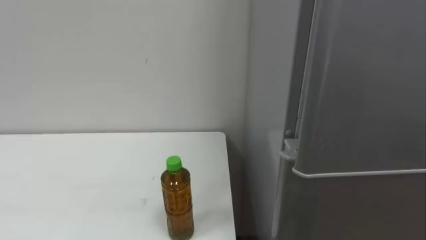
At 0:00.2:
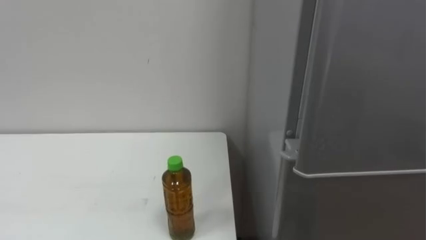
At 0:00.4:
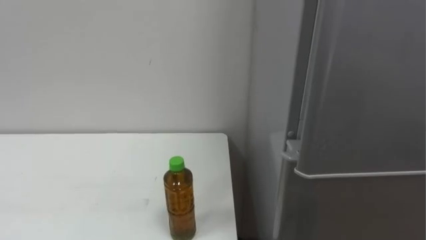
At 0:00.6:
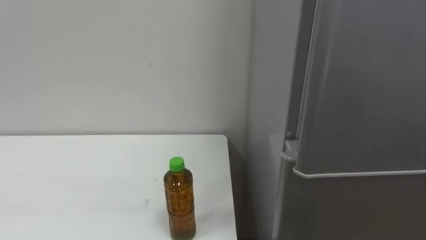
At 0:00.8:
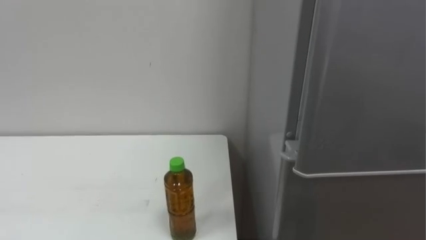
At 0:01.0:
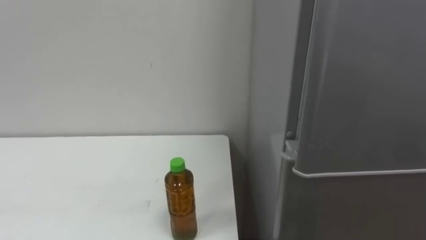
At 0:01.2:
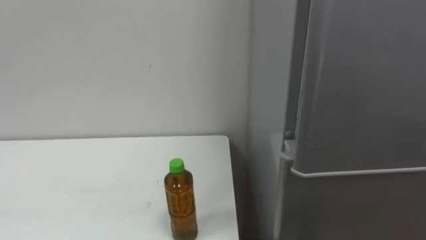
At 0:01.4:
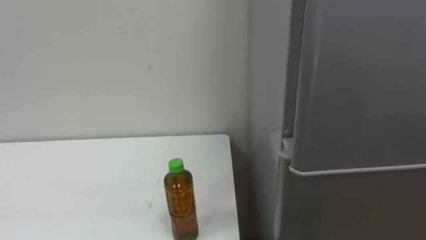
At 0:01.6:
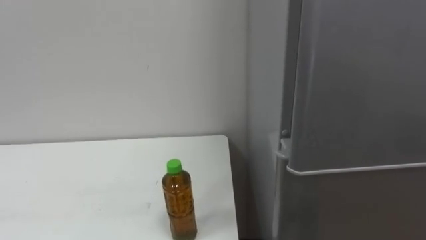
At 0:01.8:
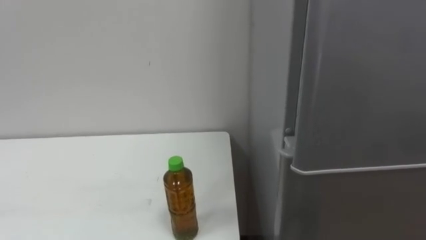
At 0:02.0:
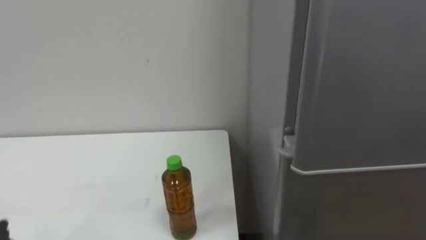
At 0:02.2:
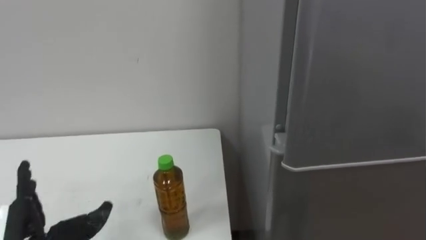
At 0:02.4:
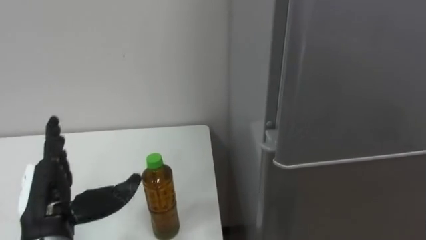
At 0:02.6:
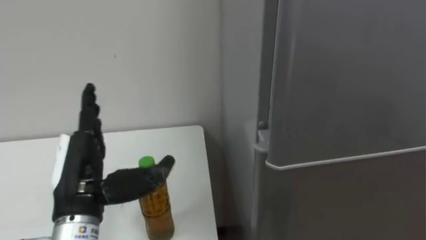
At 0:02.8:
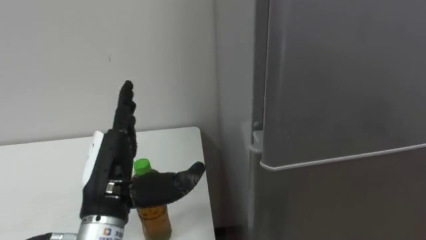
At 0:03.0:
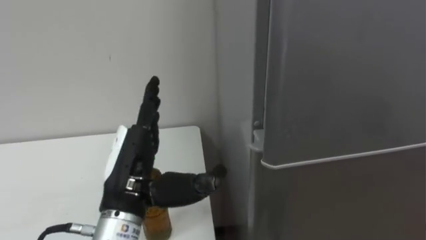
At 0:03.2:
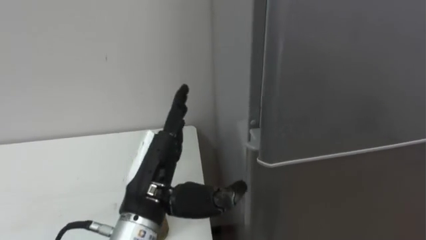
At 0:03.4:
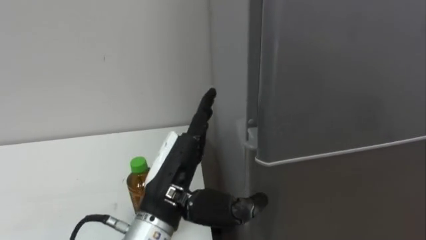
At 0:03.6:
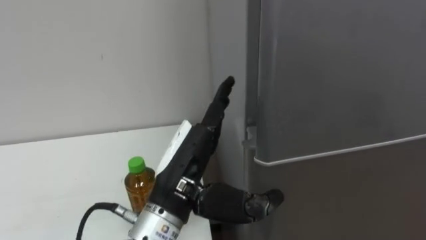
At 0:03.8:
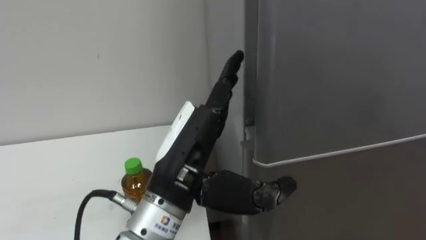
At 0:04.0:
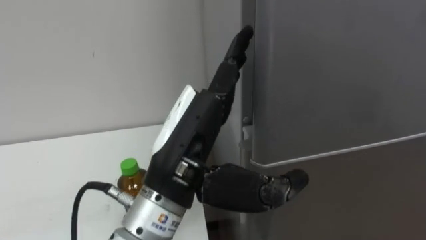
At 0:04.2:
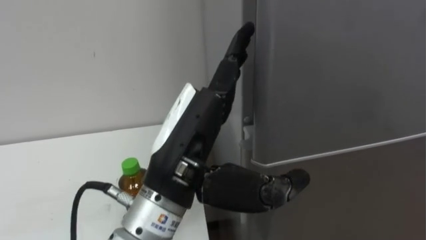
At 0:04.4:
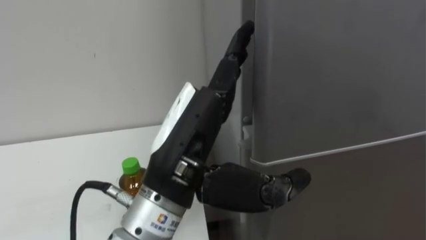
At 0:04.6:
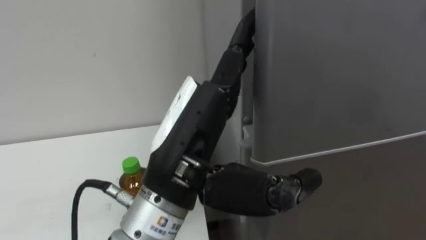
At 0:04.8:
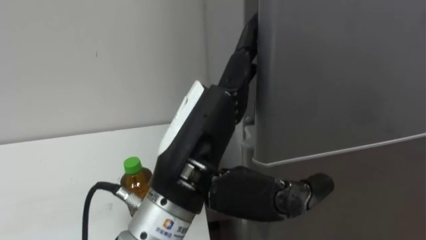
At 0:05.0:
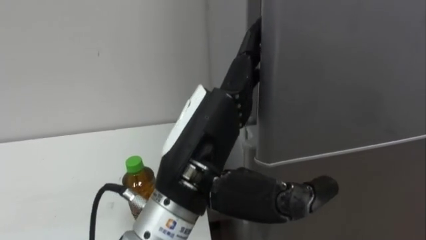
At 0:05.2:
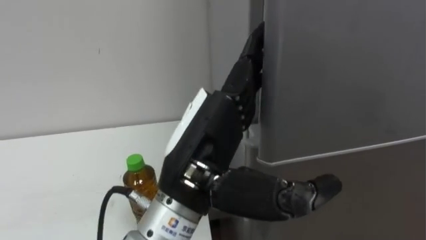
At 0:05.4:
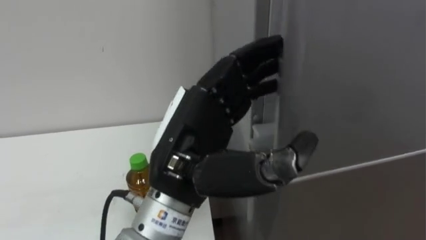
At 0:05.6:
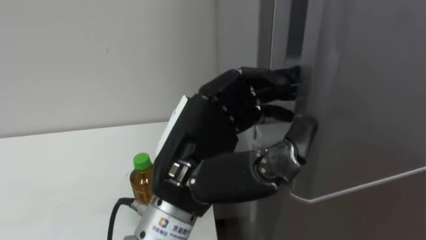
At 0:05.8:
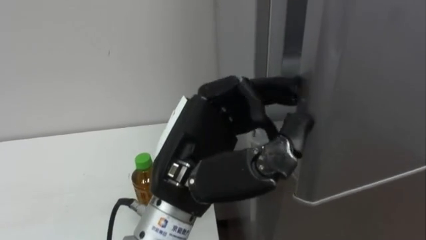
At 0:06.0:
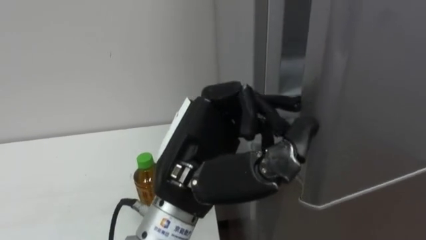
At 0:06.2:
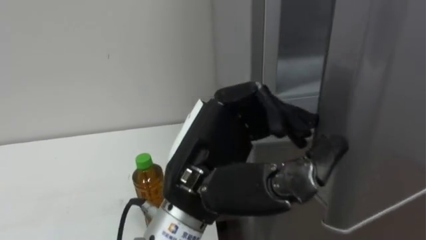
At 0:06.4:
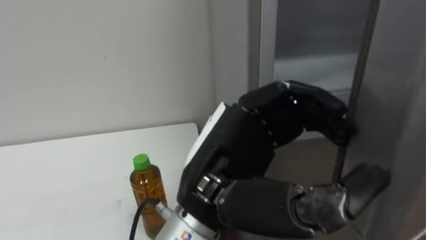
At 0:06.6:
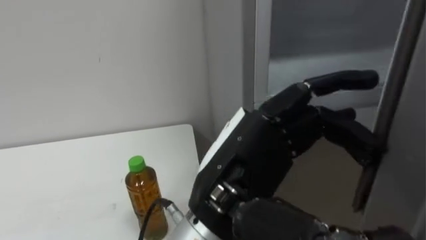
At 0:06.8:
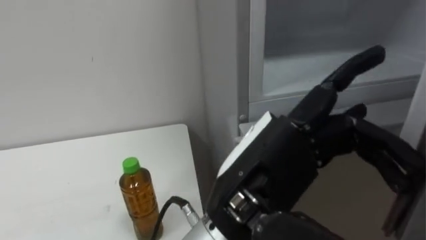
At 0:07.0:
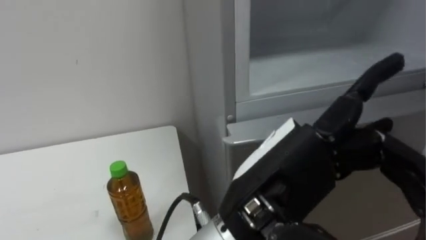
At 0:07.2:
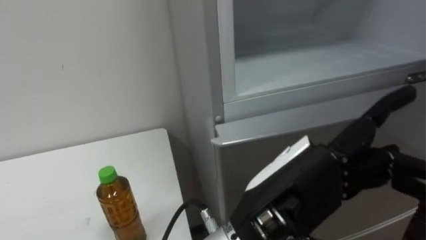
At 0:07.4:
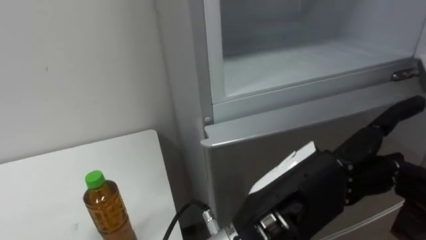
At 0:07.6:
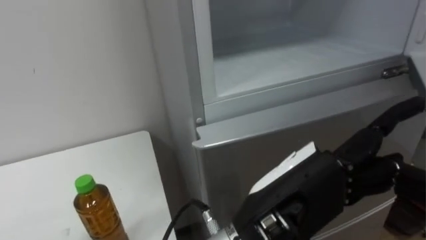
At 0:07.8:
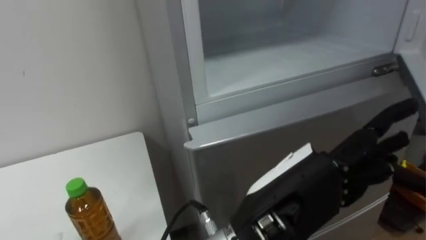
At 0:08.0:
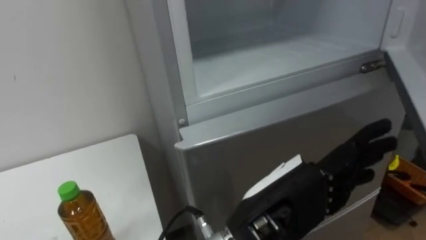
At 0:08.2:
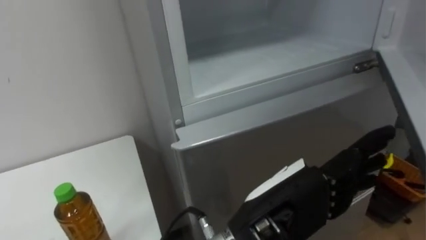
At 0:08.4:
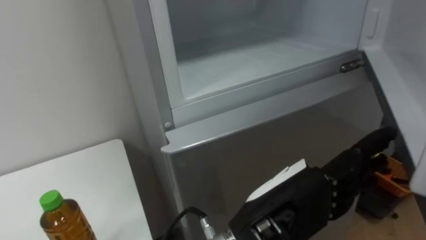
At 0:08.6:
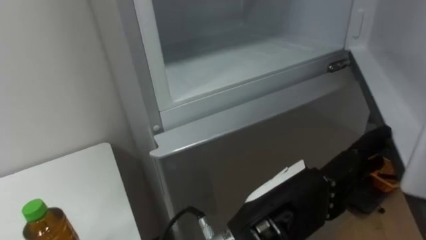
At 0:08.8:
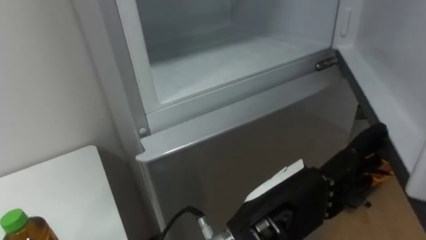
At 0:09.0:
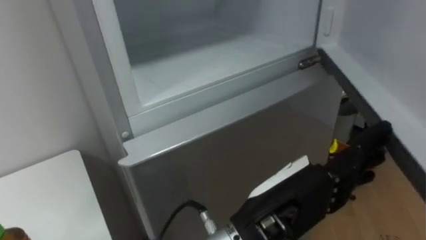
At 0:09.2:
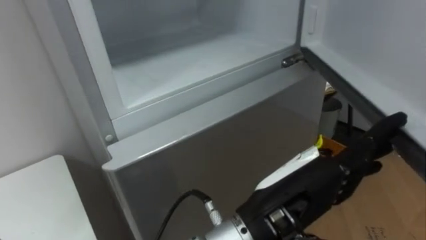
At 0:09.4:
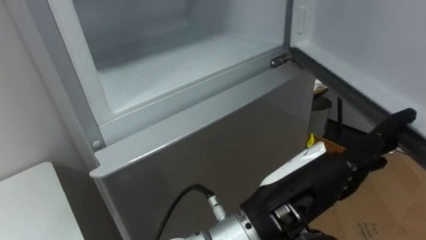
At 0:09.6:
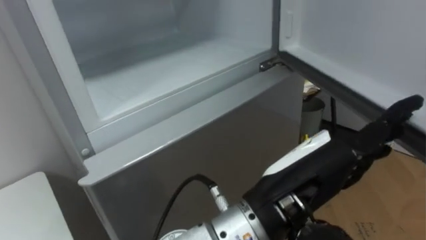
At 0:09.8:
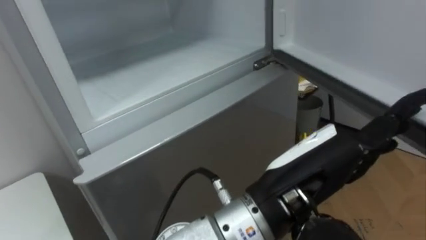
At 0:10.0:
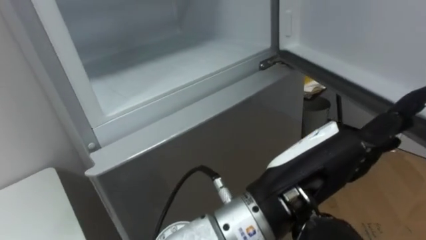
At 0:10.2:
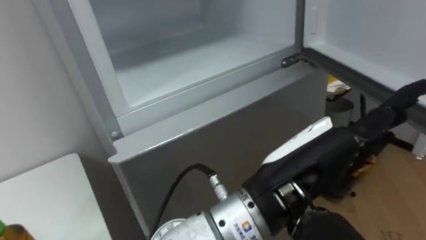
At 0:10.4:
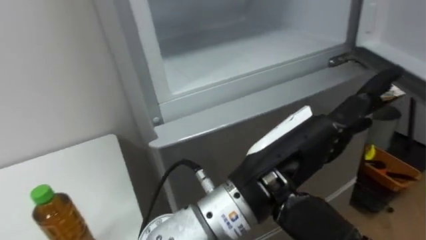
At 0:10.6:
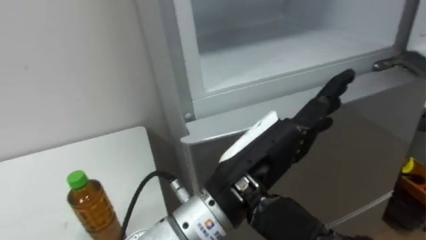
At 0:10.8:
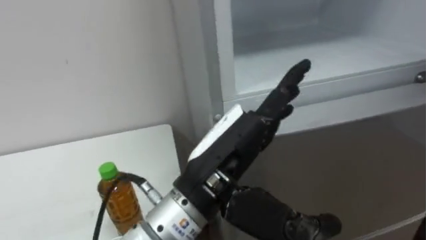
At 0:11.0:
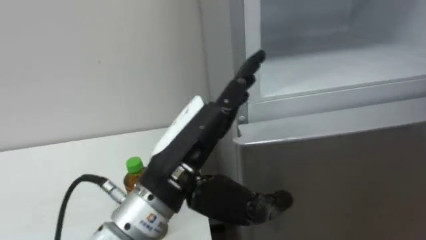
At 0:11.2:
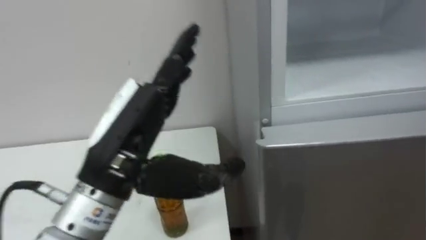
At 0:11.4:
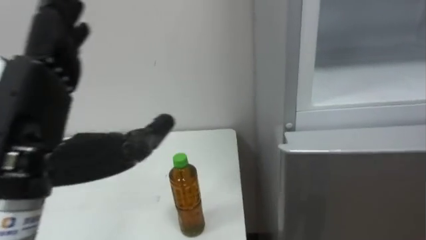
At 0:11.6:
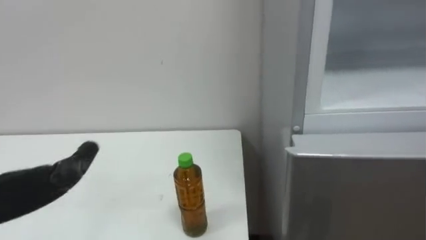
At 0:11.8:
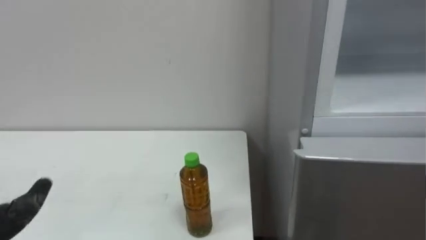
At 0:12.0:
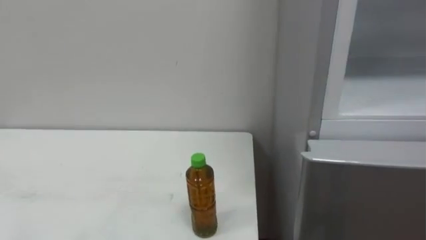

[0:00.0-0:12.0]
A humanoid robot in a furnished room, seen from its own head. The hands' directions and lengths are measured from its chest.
Task of the whole recording: Open the upper refrigerator door, put the drink from the table into the refrigerator, and then close the refrigerator door.
0:03.0 to 0:04.4: The left hand shifts about 10 cm to the right and upward.
0:04.4 to 0:06.0: The left hand closes.
0:06.0 to 0:07.6: The left hand goes approximately 10 cm to the right and backward, and opens.

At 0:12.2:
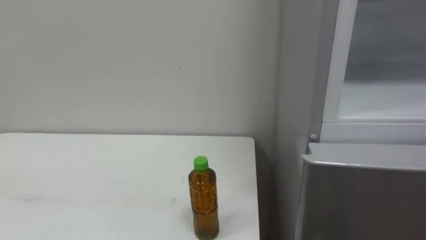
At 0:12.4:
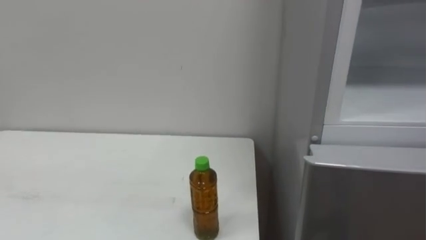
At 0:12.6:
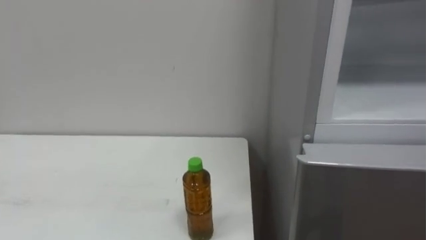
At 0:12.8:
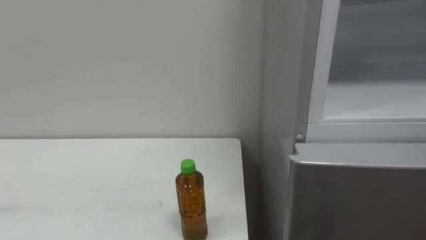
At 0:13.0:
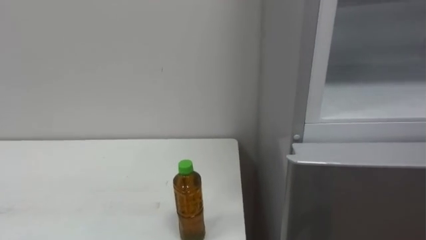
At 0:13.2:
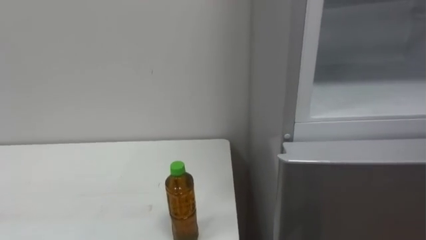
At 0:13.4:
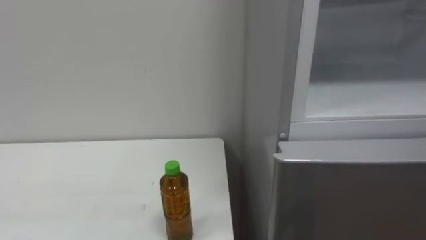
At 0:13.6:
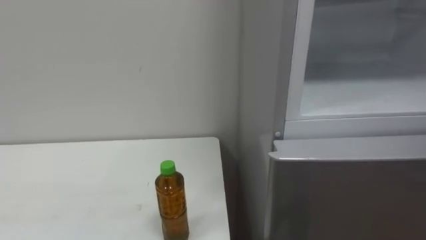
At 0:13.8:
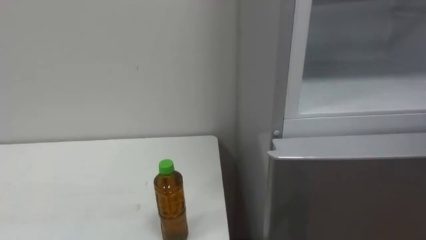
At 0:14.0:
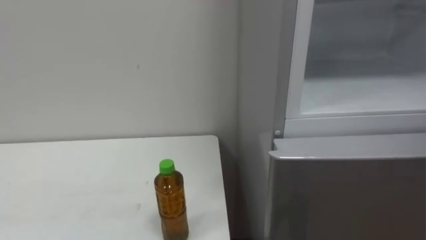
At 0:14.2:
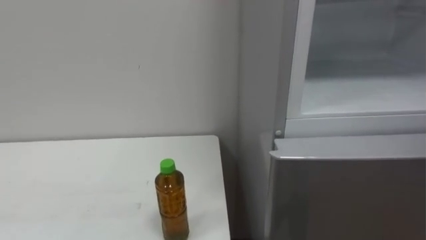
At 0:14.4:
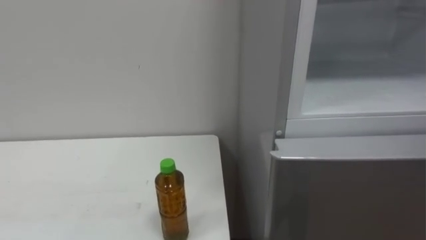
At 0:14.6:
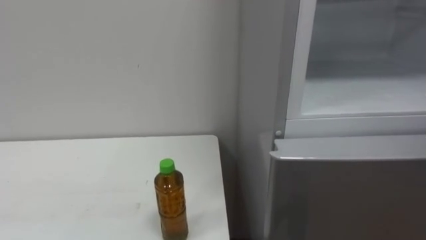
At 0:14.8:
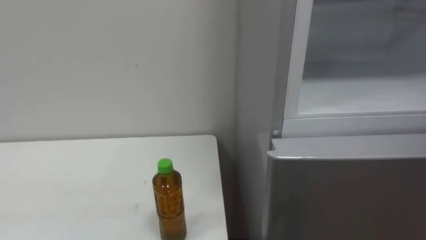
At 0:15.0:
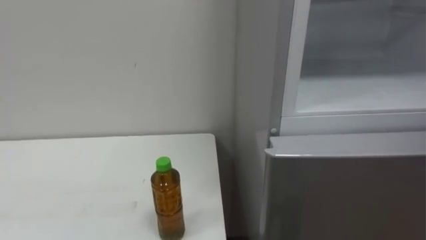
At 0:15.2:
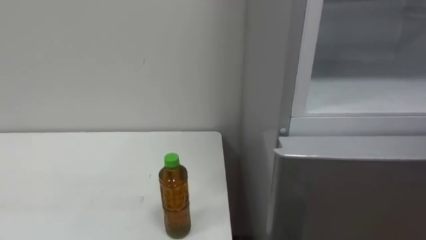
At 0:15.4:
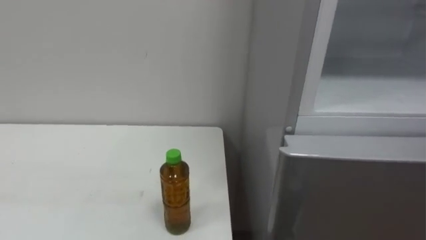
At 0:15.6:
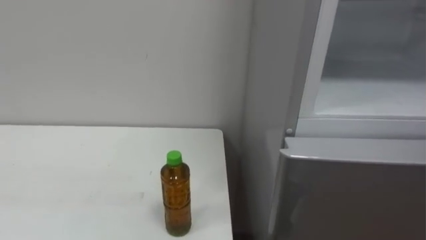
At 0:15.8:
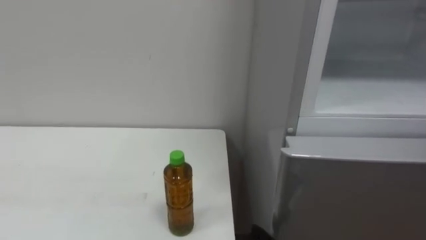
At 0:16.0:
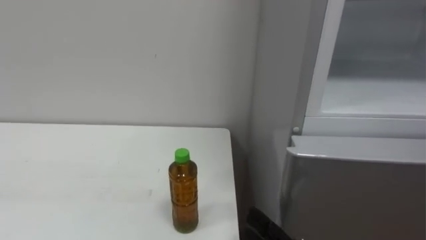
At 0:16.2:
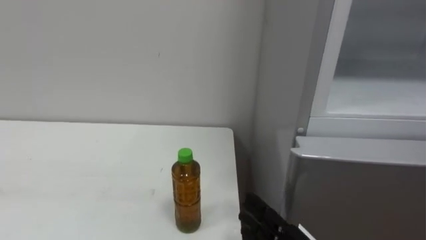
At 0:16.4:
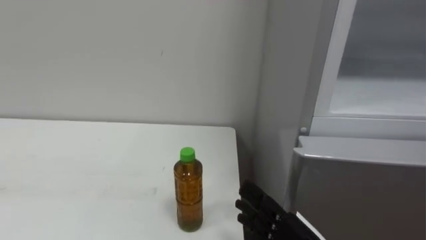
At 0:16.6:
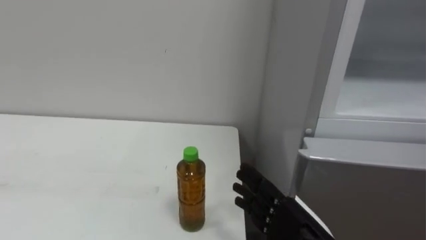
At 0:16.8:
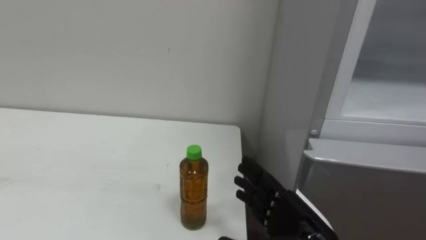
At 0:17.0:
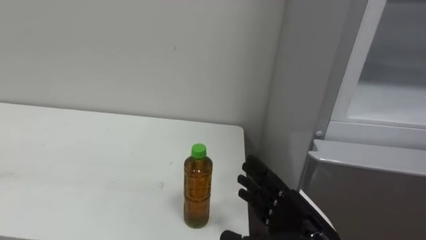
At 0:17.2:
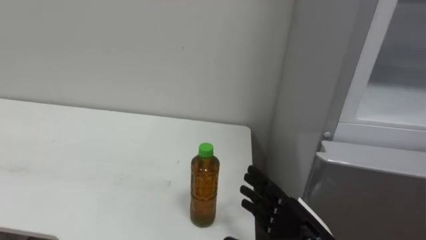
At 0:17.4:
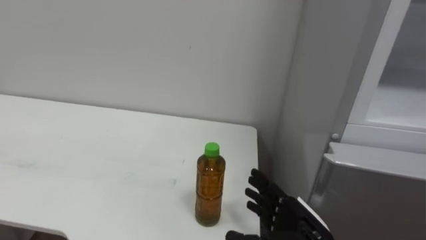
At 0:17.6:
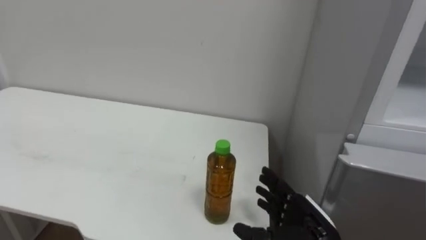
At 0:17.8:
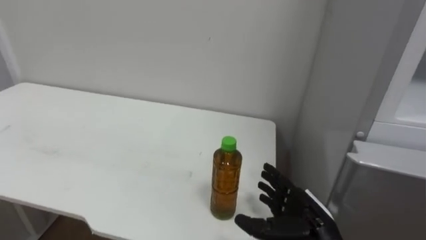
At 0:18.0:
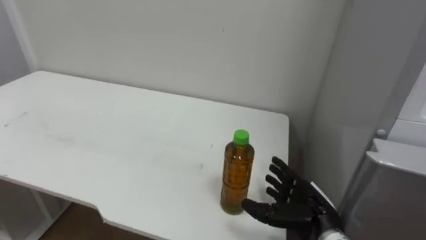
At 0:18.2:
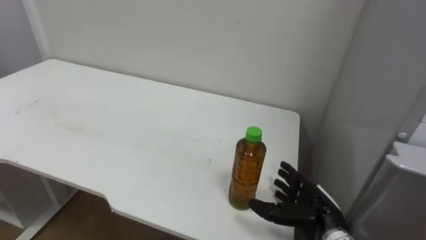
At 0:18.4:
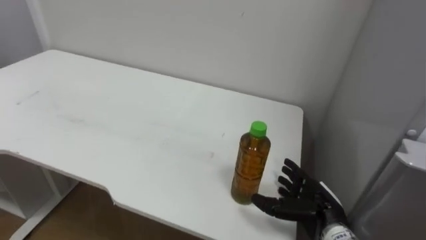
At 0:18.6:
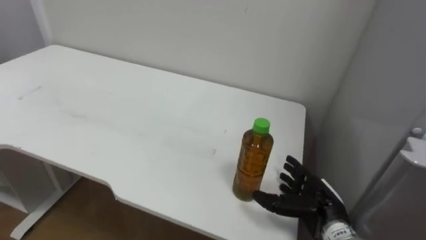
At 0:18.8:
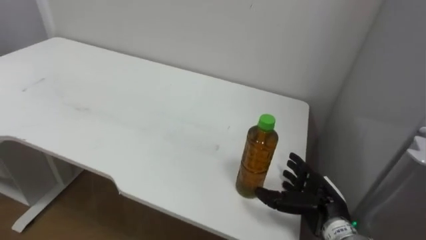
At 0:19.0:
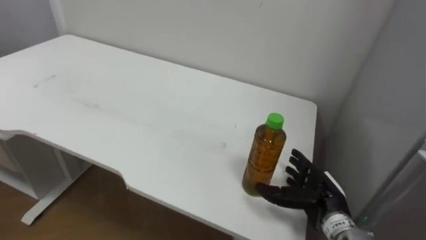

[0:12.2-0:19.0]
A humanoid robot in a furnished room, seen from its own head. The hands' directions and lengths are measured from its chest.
Task of the whole recording: Open the upper refrigerator door, put the drink from the table into the refrigerator, and then close the refrigerator door.
0:17.6 to 0:19.0: The right hand shifts roughly 5 cm forward.
